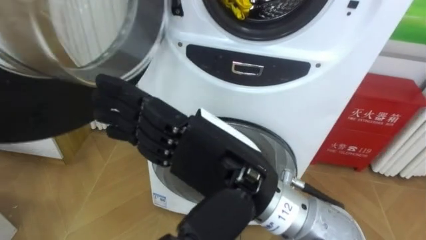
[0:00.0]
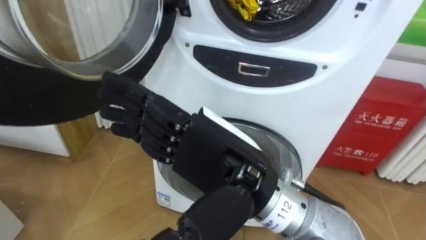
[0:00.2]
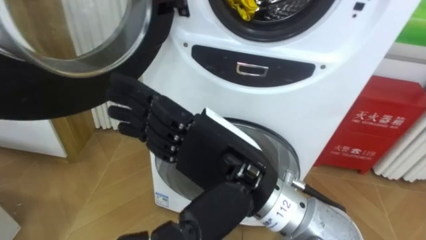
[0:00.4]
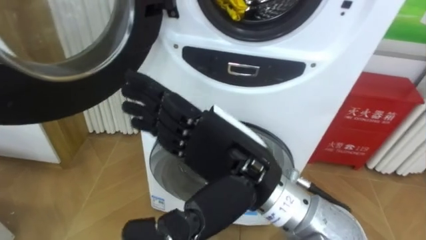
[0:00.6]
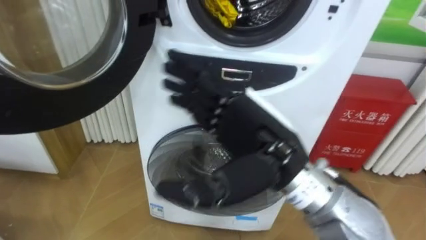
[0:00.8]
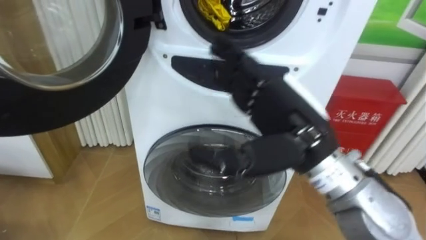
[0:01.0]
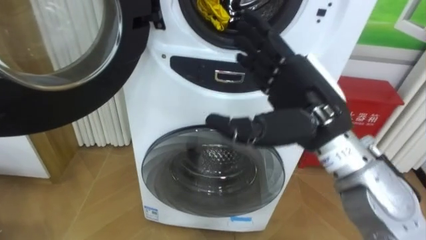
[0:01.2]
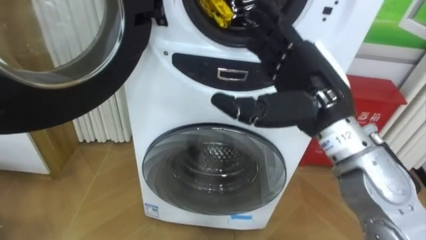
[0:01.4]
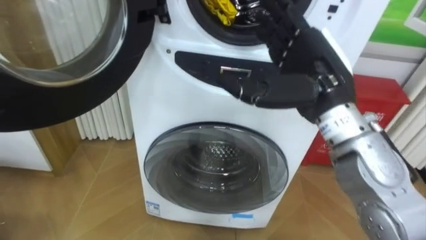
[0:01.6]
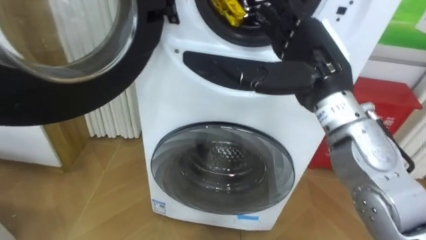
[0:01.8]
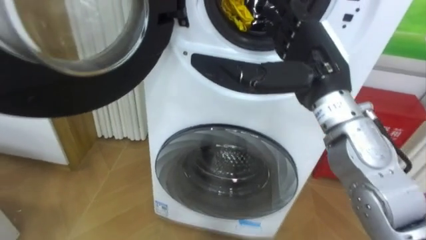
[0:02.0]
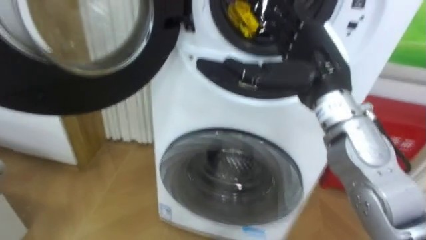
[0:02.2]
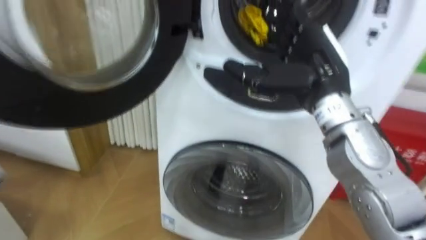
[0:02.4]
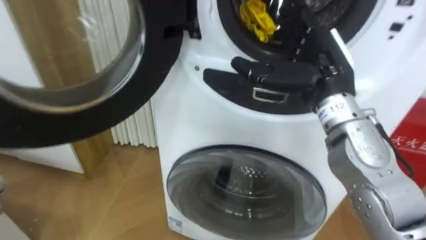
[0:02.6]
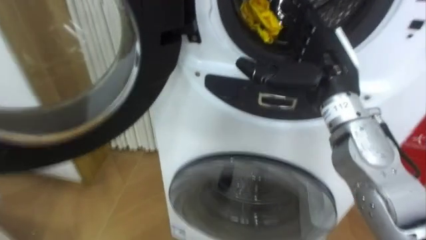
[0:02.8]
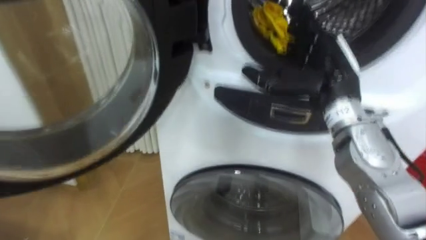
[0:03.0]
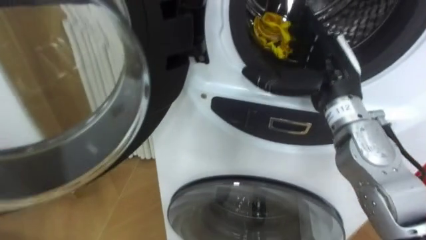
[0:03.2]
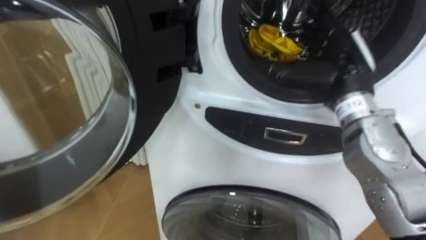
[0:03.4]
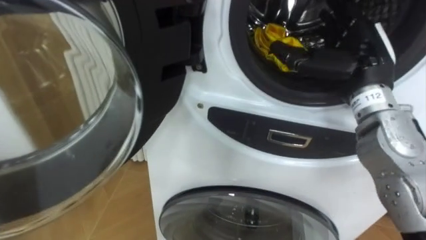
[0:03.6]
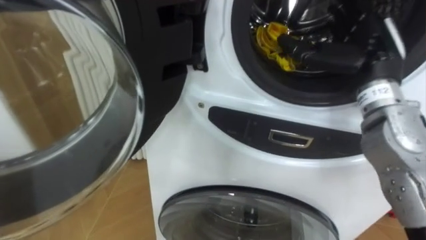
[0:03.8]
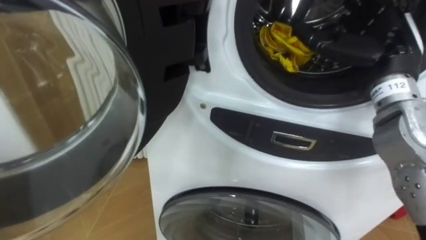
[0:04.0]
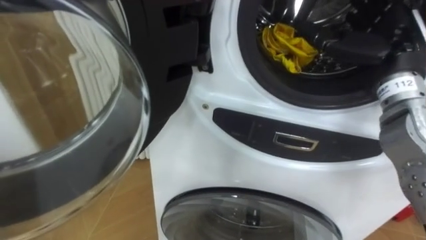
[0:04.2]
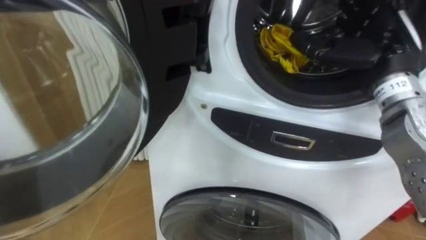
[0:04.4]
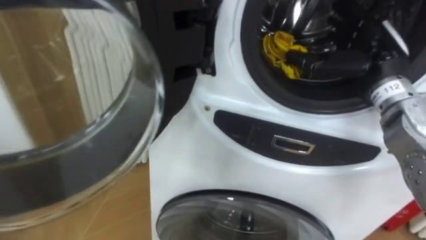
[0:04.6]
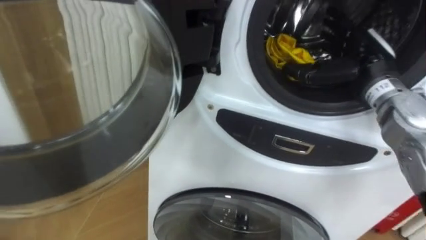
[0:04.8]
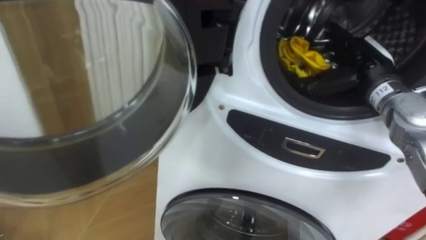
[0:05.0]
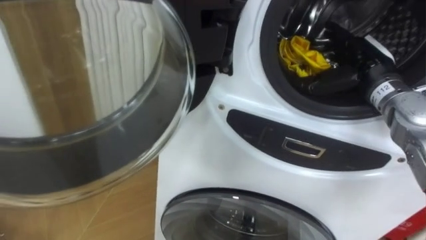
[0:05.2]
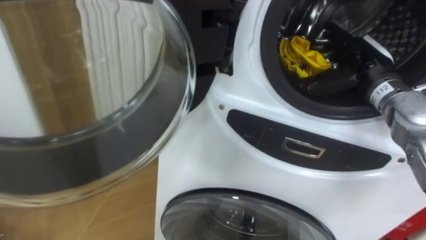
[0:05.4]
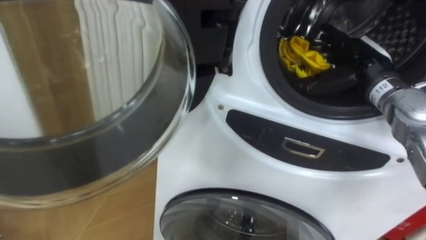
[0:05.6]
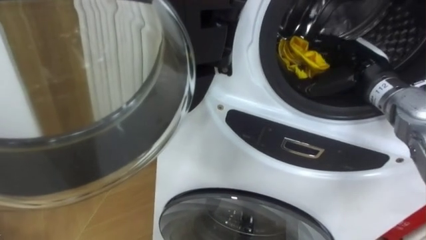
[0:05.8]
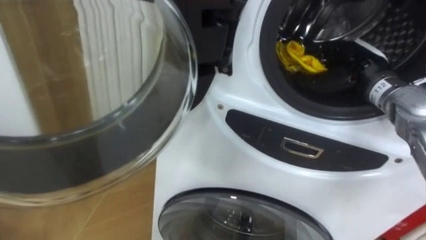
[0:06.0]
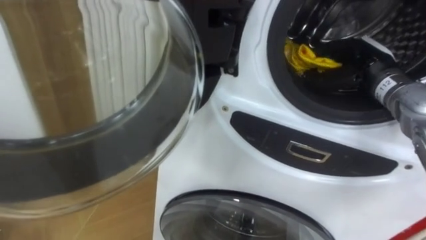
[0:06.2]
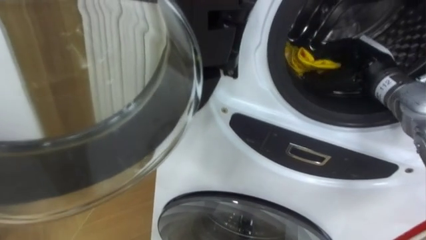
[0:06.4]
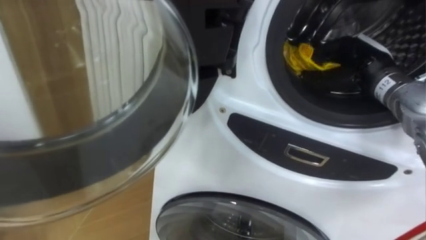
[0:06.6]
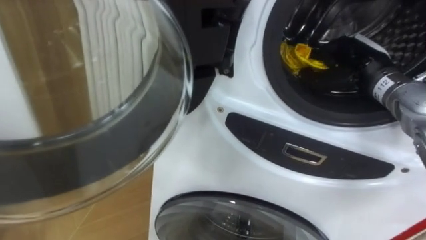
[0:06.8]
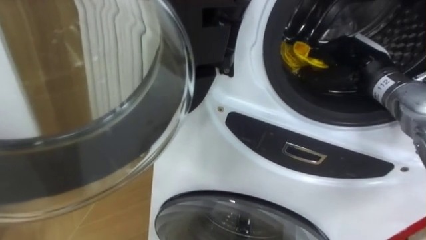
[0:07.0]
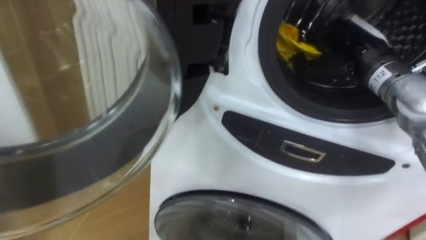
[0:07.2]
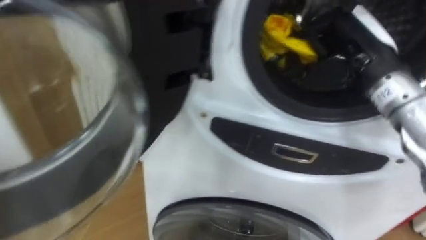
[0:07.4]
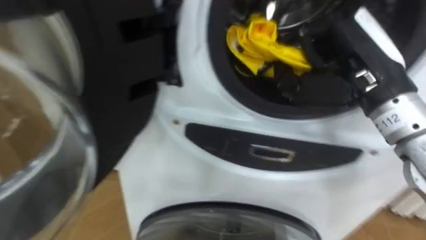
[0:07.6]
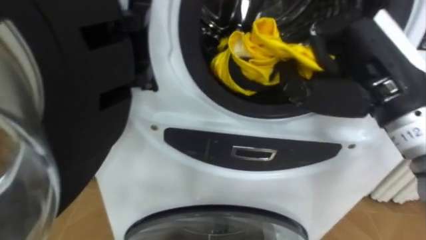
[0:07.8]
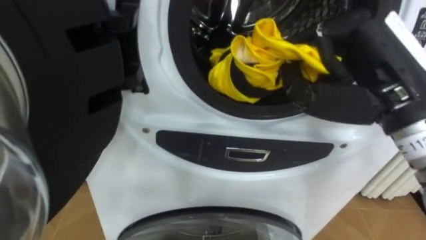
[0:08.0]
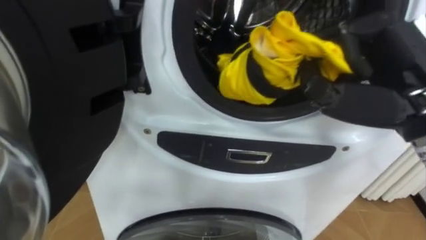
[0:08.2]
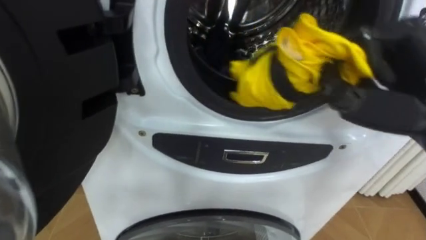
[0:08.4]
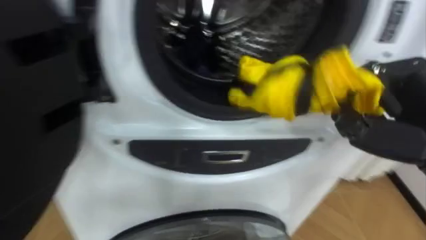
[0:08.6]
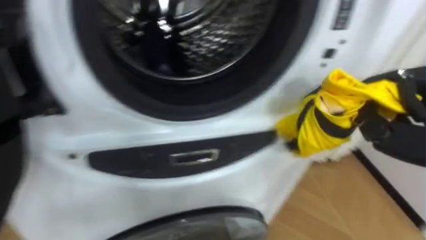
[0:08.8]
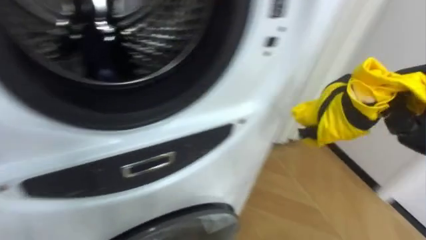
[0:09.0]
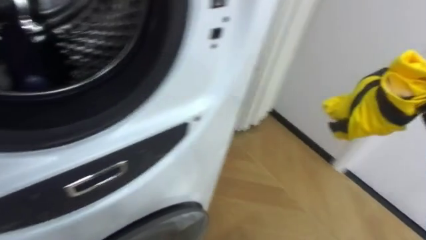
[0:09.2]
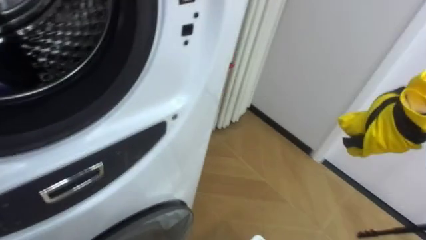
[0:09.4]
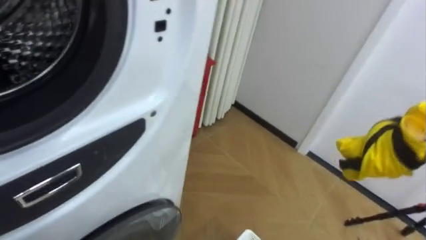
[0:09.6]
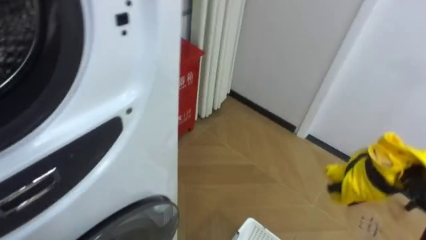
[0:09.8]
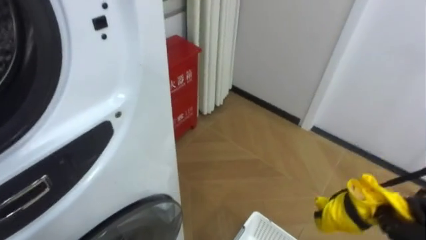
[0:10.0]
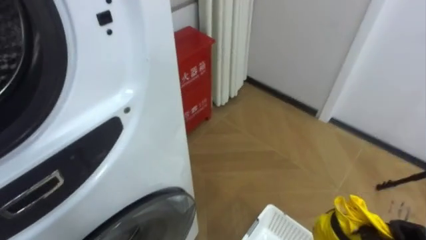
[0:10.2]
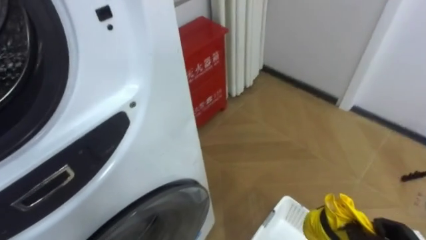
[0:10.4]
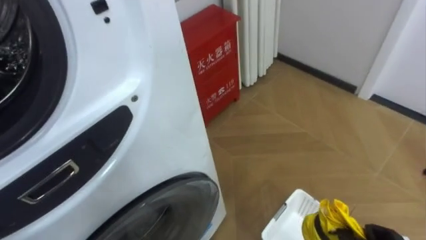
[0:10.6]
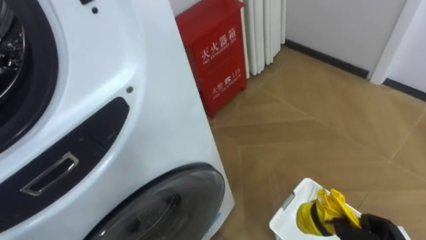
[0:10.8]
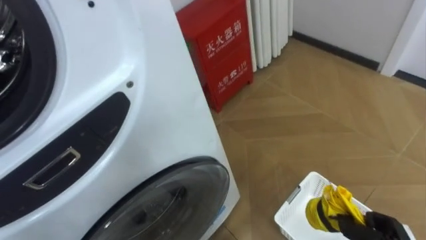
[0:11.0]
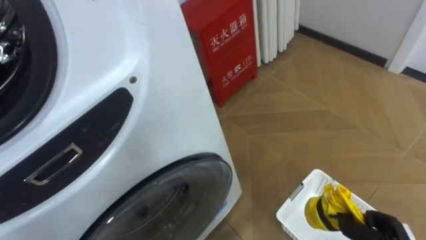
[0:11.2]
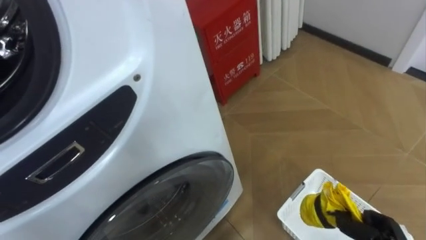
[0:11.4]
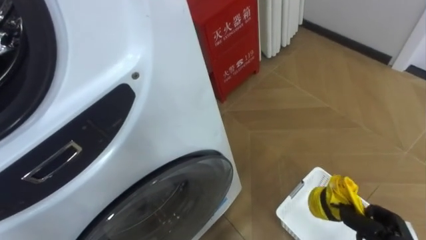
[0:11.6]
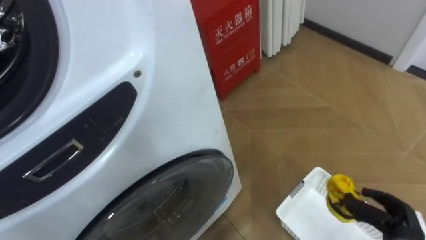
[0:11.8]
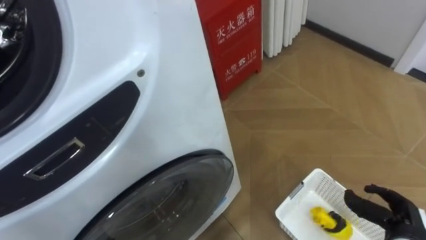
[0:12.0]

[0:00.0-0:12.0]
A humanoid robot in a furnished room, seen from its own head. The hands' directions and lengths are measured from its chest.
Task of the whole recording: Open the washing machine door, take out the yellow clothes, place them in the box on the right, and close the washing machine door.
0:00.0 to 0:01.6: The right hand heads to the right and forward, covering about 15 cm.
0:01.6 to 0:03.0: The right hand moves approximately 5 cm.
0:03.0 to 0:04.4: The right hand heads to the right, covering some 5 cm.
0:04.4 to 0:06.0: The right hand shifts about 10 cm downward and forward, and closes.
0:06.0 to 0:07.6: The right hand is displaced backward, upward and to the left by about 15 cm, and closes up.
0:09.0 to 0:10.4: The robot faces approximately 15 degrees further to its right.

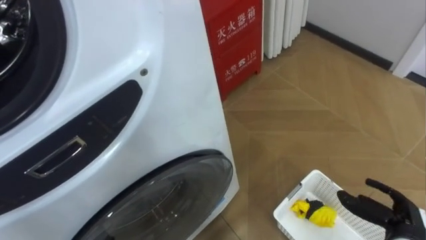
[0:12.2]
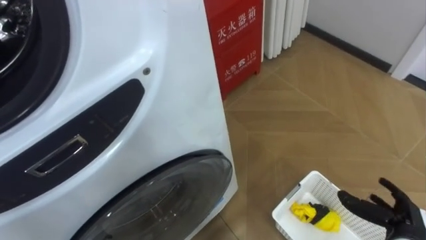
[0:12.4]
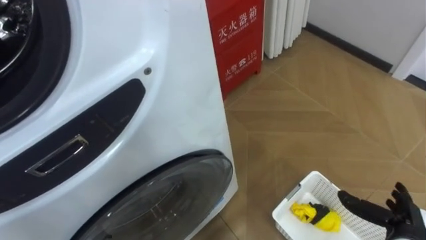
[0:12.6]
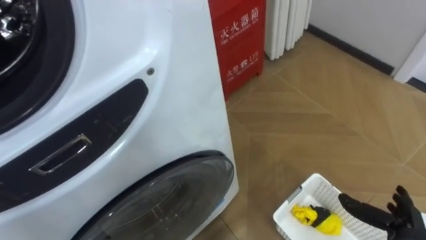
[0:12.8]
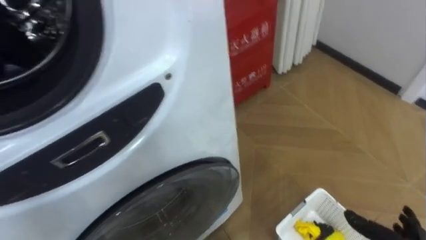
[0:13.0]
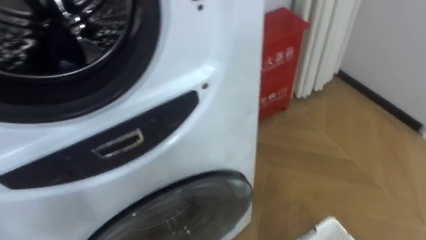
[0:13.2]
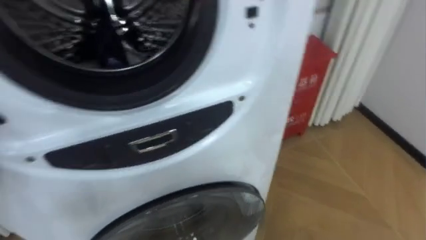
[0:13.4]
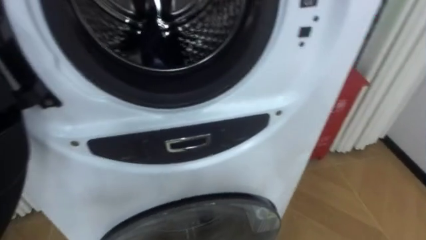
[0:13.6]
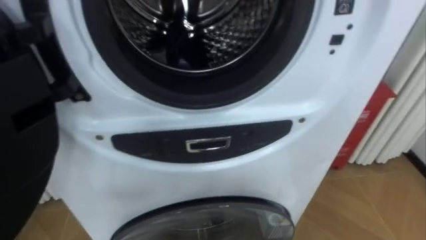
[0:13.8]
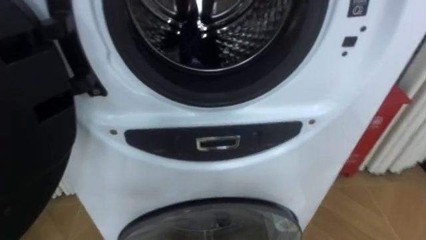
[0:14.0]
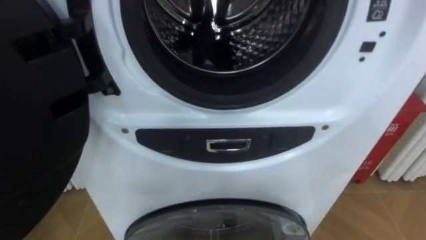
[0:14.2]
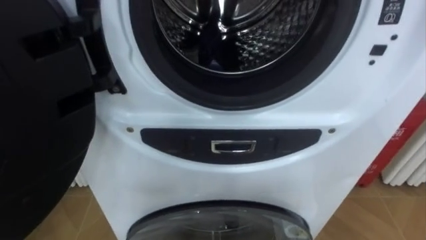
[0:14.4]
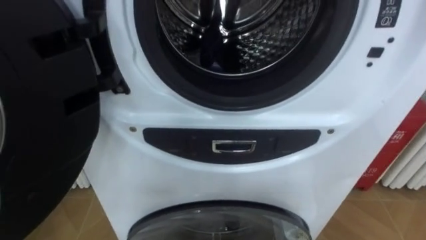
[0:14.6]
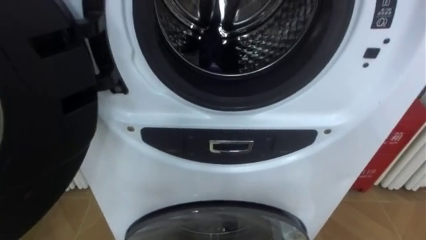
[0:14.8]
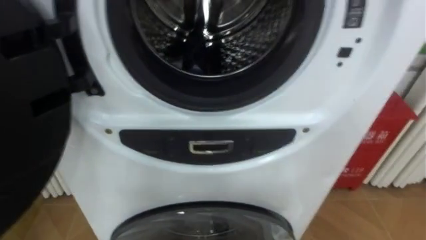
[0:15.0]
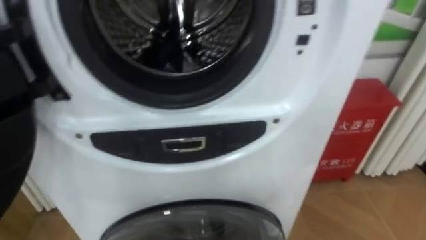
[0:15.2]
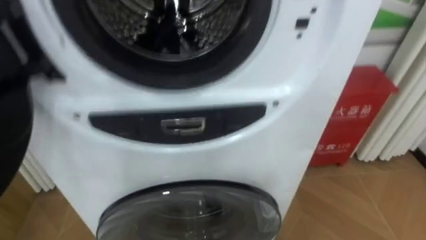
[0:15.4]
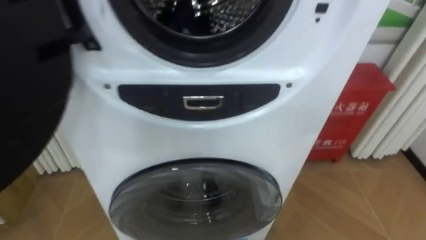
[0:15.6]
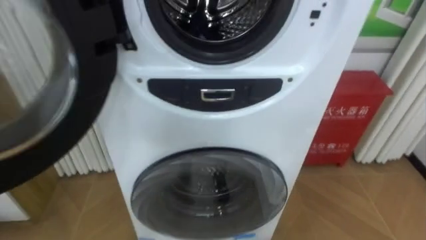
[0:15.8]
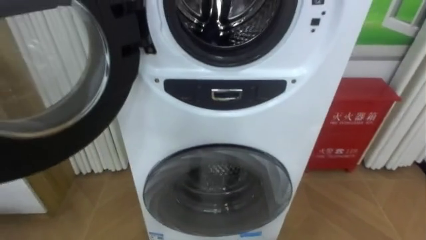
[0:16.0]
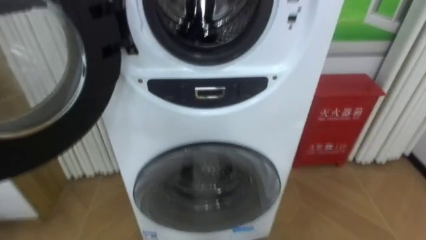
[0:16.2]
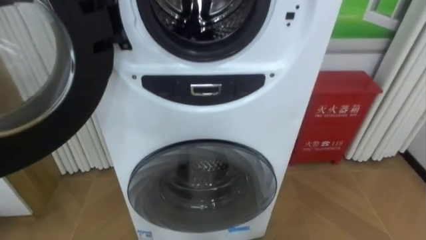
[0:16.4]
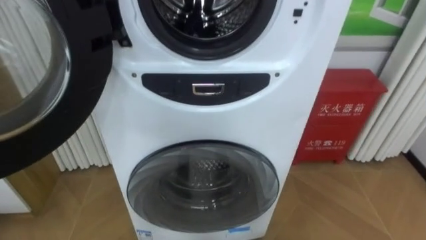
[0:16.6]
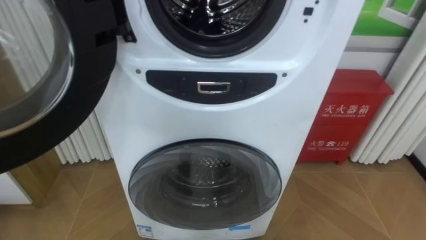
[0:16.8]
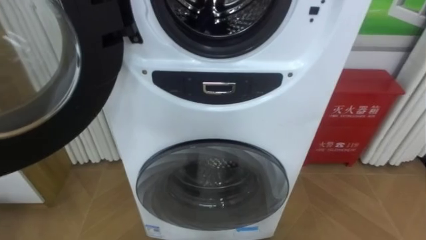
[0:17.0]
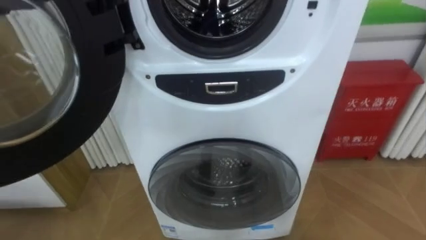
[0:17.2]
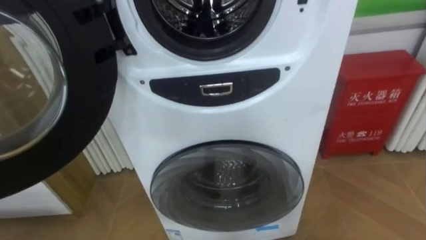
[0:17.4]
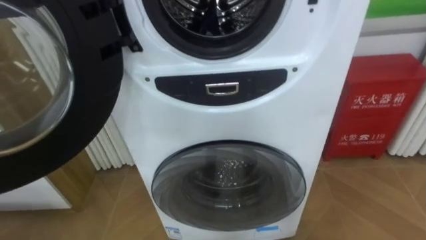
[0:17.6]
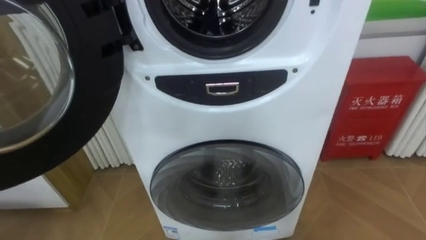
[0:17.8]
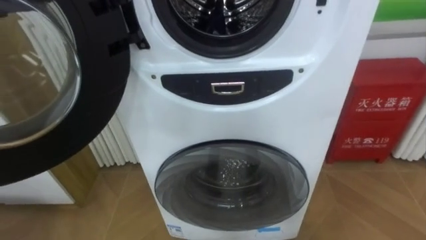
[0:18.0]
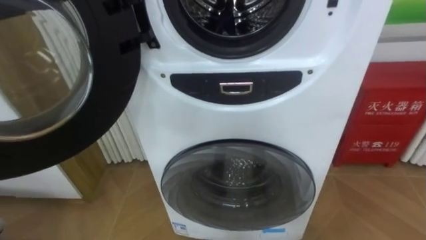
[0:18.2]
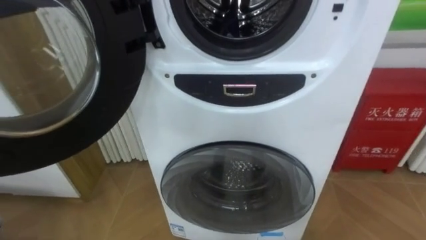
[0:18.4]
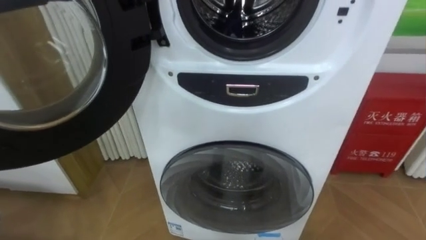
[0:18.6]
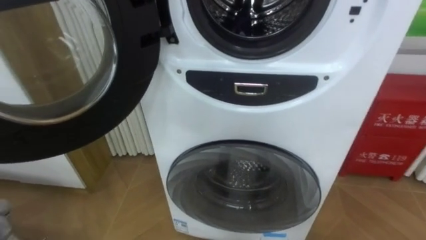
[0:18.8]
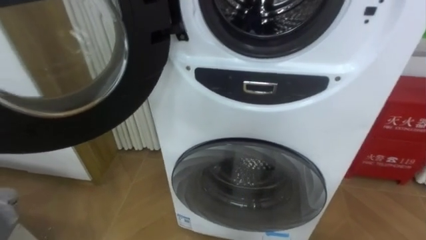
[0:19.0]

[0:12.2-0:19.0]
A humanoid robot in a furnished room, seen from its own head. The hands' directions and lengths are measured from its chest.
Task of the whole recording: Open the washing machine door, take out the yellow clothes, place them in the box on the right, and close the washing machine door.
0:12.2 to 0:13.6: The robot turns to its left by some 15 degrees.
